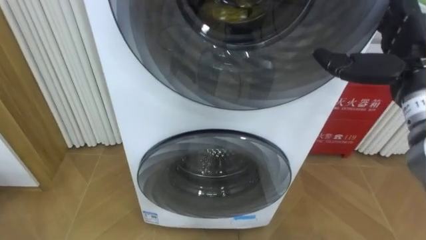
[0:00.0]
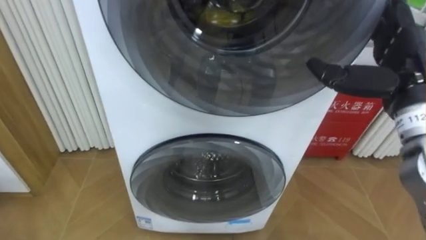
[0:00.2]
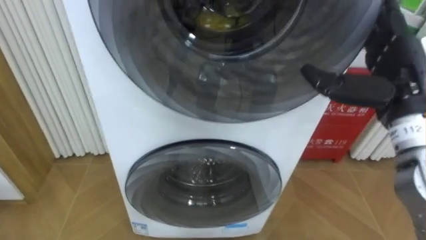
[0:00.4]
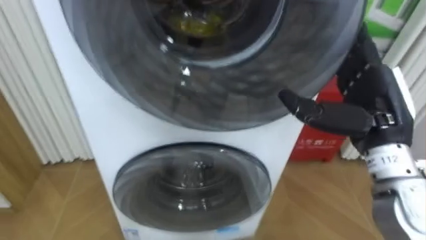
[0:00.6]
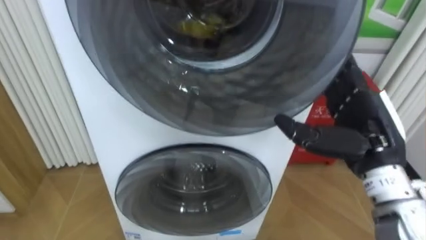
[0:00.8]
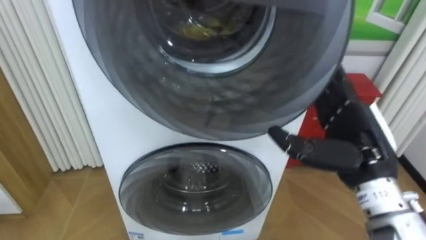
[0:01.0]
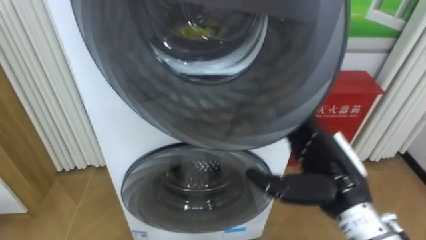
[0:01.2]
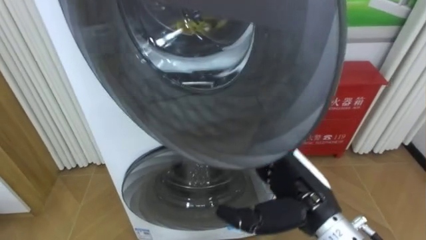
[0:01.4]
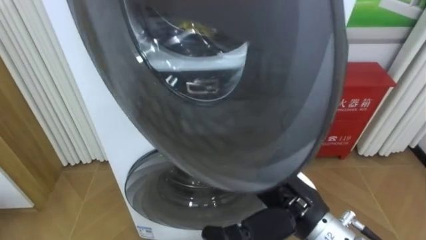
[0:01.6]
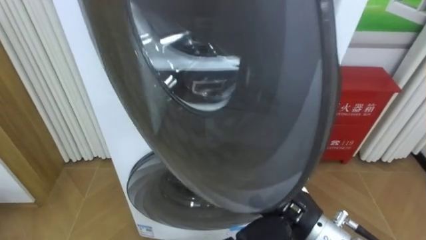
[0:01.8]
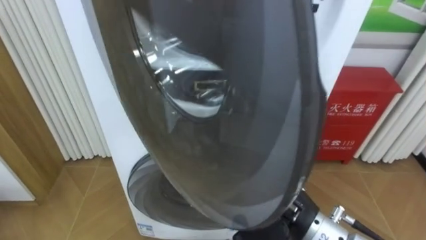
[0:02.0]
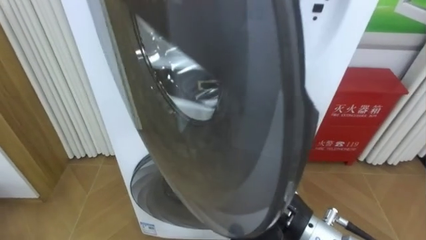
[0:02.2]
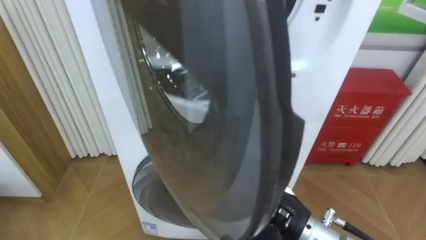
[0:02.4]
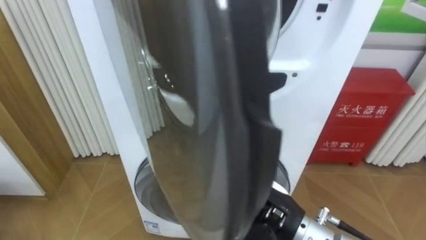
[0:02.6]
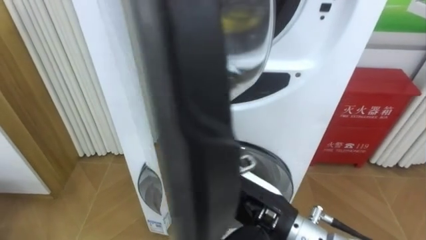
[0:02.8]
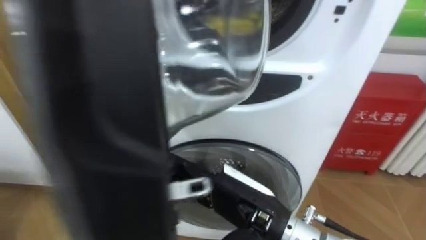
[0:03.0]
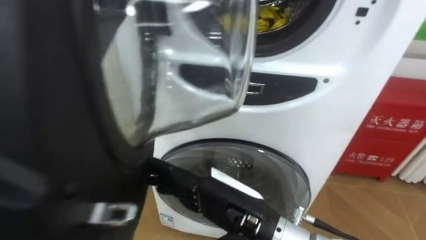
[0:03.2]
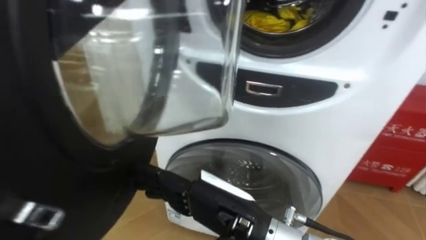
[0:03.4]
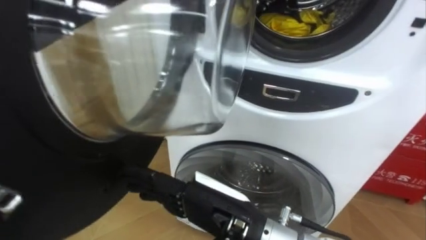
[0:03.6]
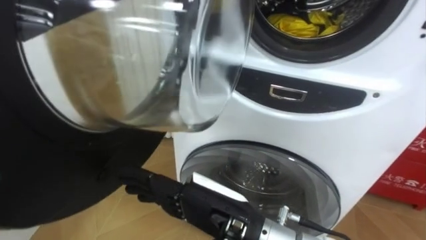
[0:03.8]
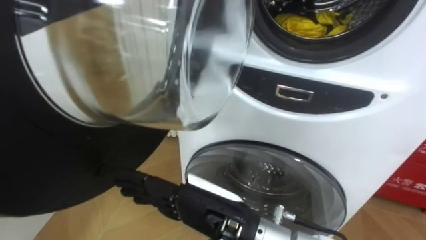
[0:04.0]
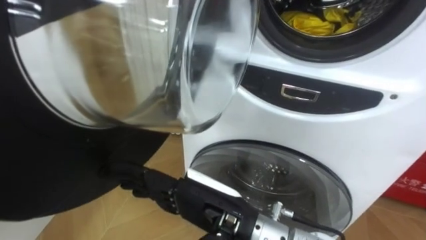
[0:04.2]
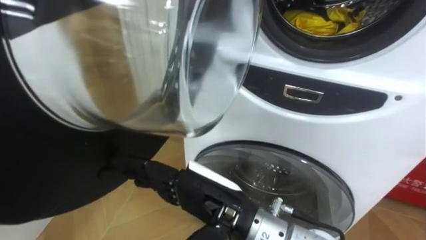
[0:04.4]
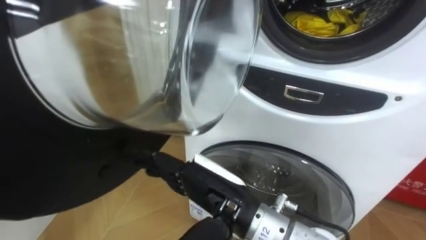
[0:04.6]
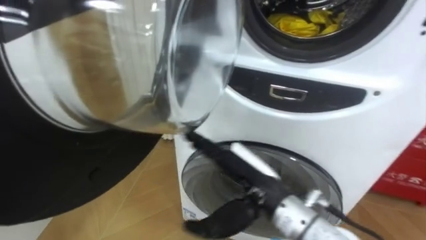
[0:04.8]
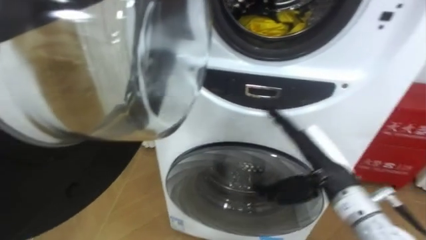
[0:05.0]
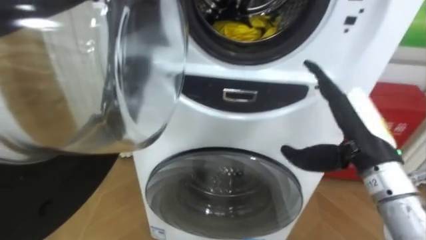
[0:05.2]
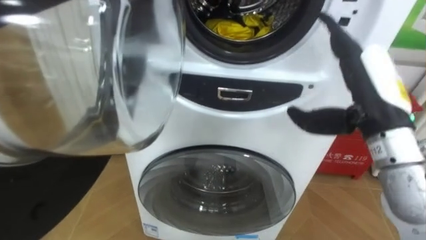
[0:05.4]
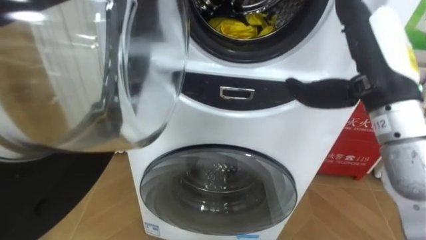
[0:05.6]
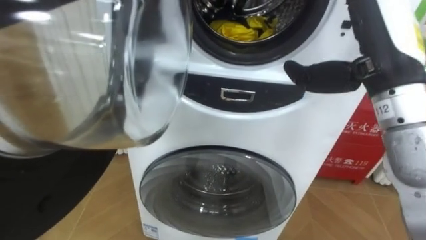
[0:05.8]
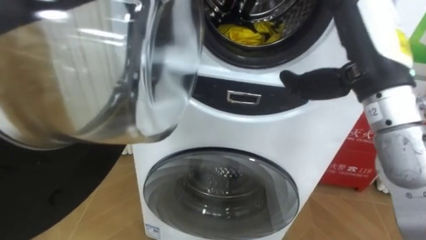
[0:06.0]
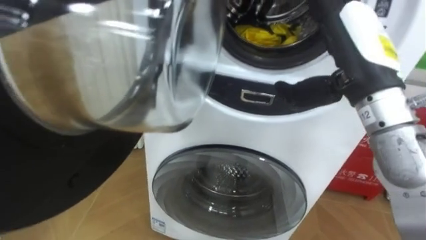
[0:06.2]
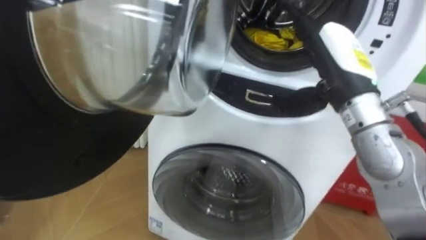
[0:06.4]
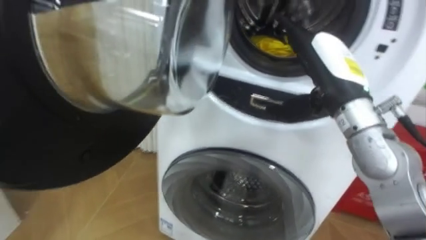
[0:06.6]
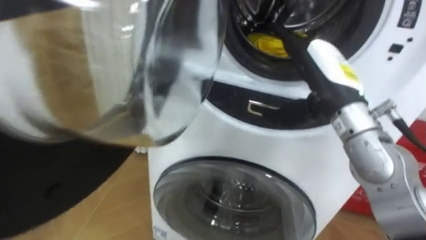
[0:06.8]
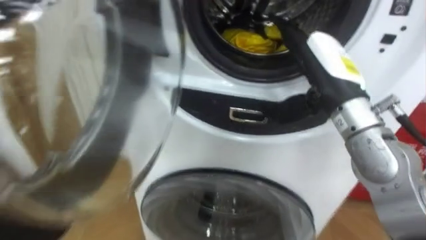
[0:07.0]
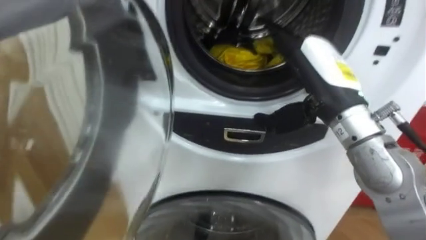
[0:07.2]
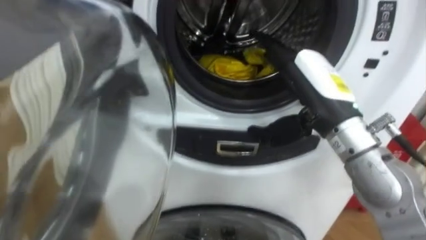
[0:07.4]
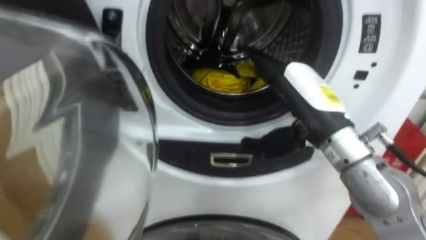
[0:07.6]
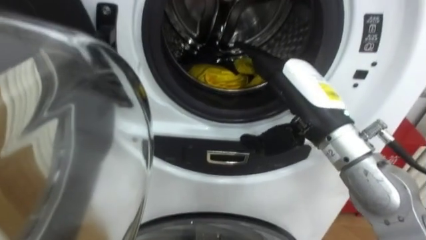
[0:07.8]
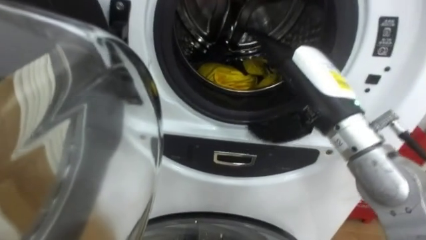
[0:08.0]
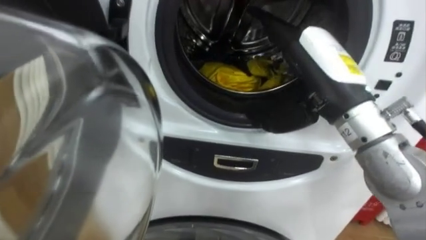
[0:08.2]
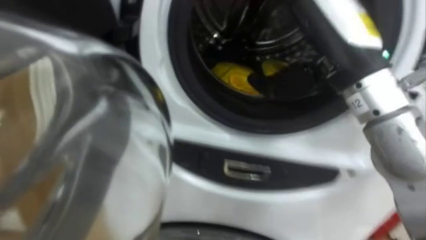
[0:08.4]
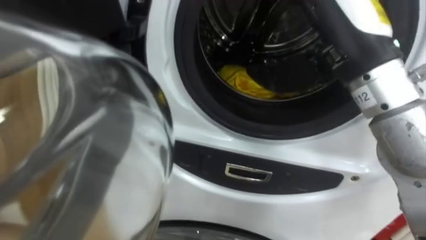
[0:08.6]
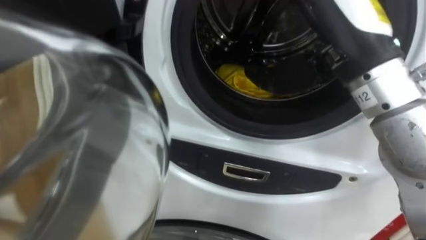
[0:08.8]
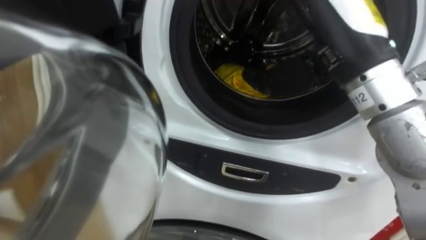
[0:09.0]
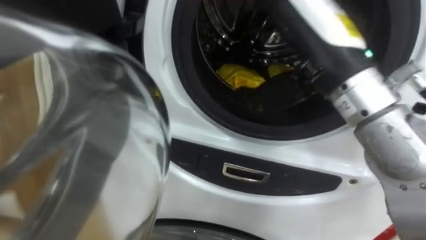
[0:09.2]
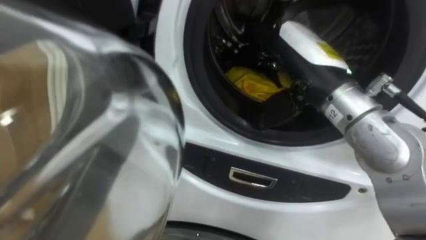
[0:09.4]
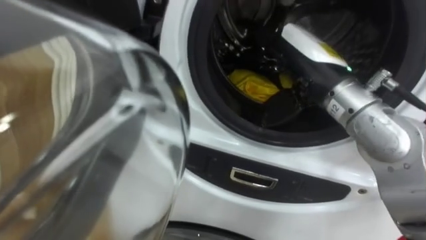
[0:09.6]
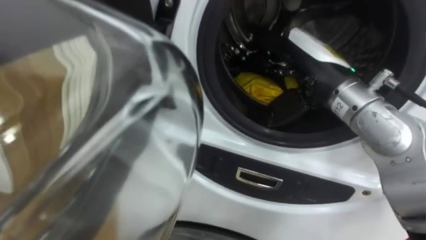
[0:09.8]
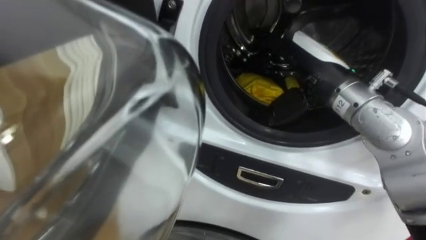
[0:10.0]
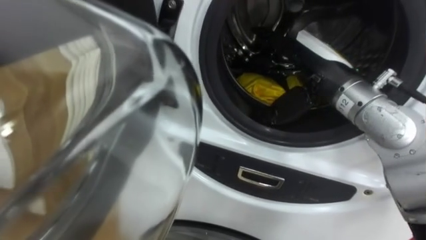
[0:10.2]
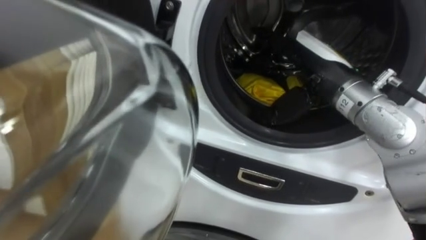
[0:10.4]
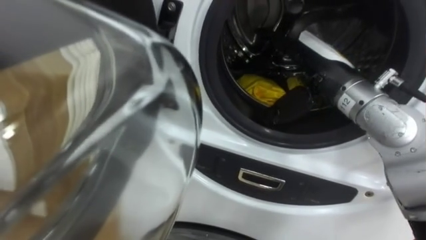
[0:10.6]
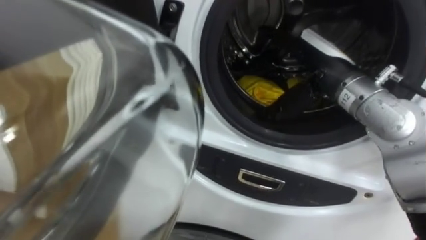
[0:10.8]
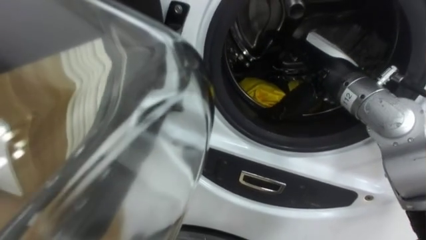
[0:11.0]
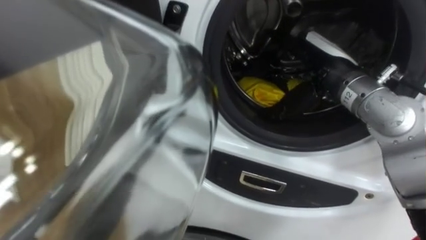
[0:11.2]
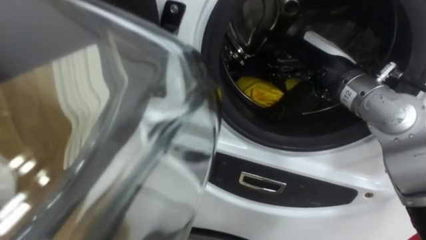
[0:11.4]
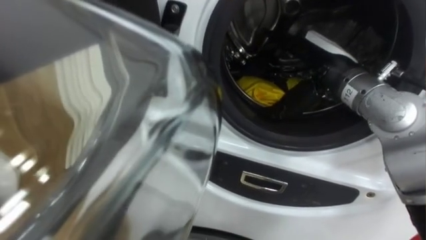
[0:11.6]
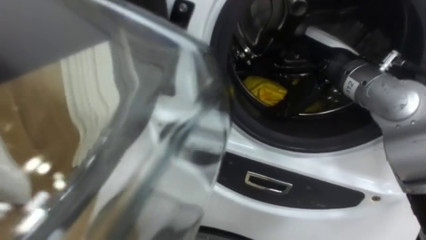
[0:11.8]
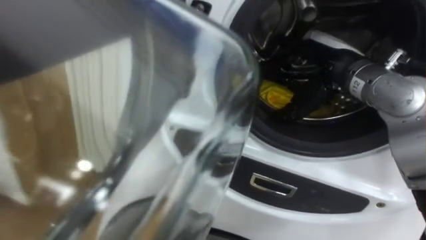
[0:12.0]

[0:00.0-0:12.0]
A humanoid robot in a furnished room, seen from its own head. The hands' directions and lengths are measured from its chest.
Task of the whole recording: Open the washing machine door, take out the yellow clothes, place them in the box on the right, and close the washing machine door.
0:00.0 to 0:01.6: The right hand heads to the left, downward and backward, covering roughly 25 cm.
0:01.6 to 0:03.0: The right hand shifts approximately 5 cm to the left.
0:04.4 to 0:06.0: The right hand travels to the right, upward and forward by some 25 cm.
0:06.0 to 0:07.6: The right hand heads downward, covering approximately 5 cm.
0:07.6 to 0:09.0: The right hand goes about 10 cm upward.
0:09.0 to 0:10.4: The right hand goes roughly 10 cm downward and forward.

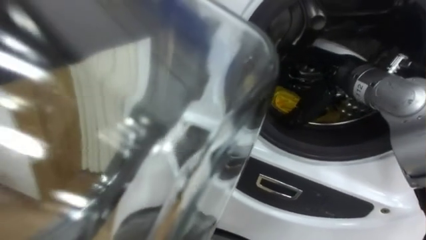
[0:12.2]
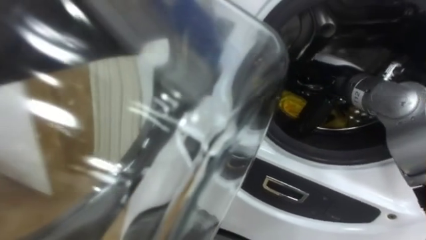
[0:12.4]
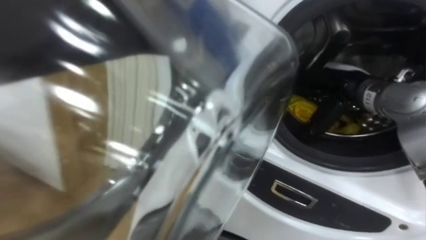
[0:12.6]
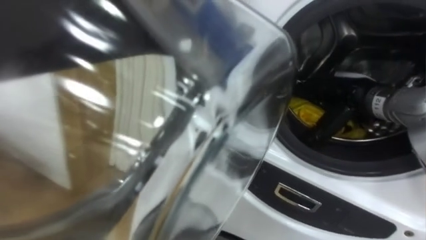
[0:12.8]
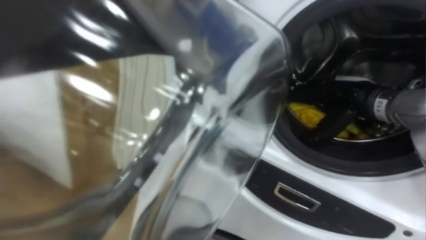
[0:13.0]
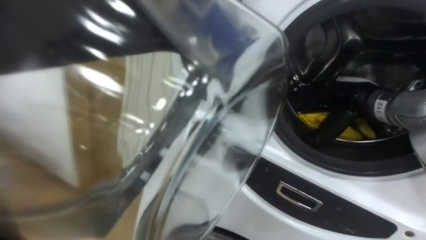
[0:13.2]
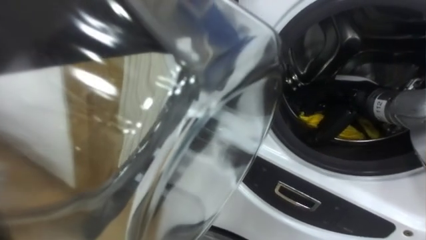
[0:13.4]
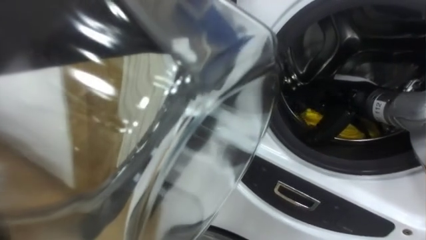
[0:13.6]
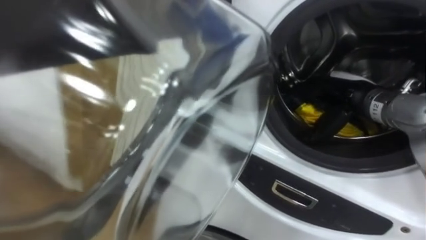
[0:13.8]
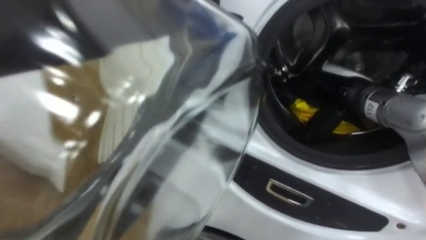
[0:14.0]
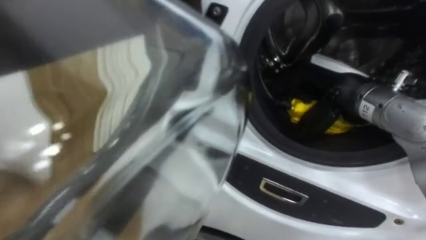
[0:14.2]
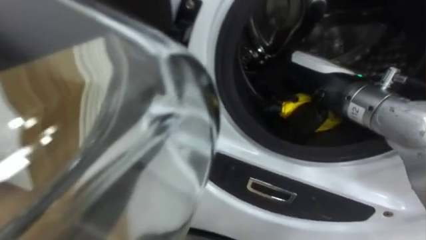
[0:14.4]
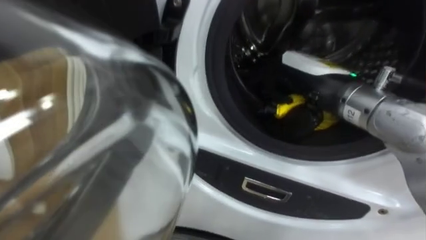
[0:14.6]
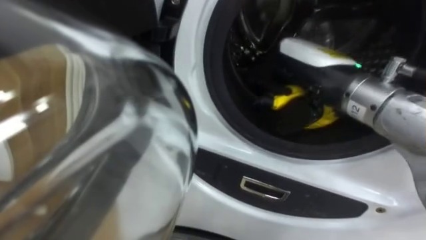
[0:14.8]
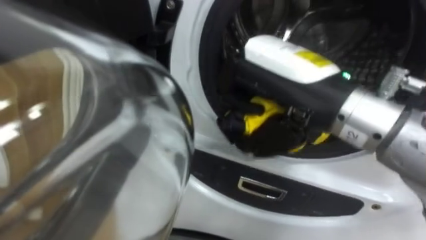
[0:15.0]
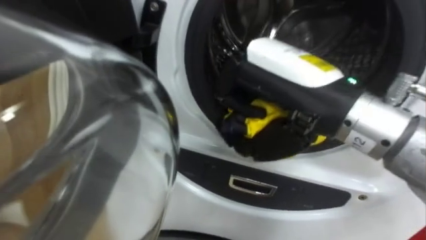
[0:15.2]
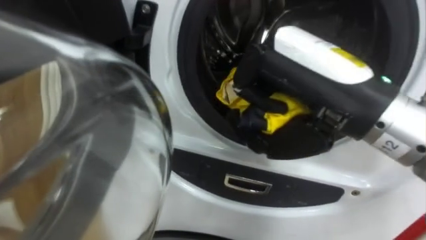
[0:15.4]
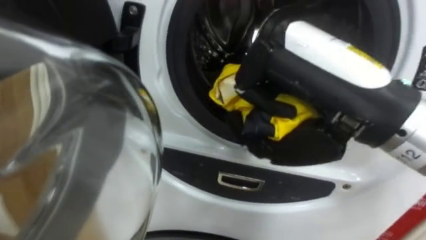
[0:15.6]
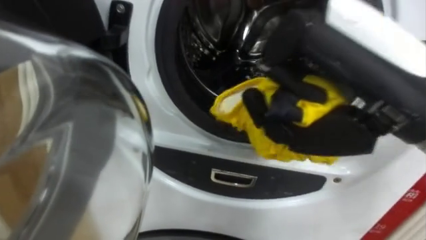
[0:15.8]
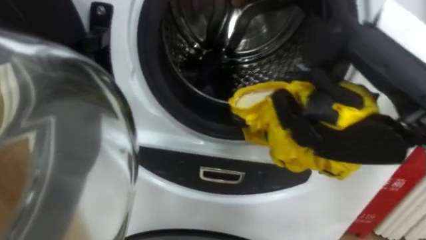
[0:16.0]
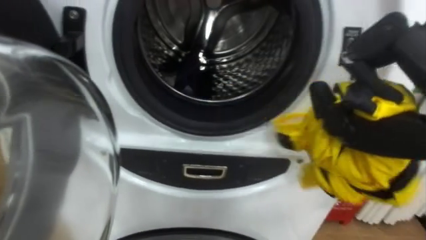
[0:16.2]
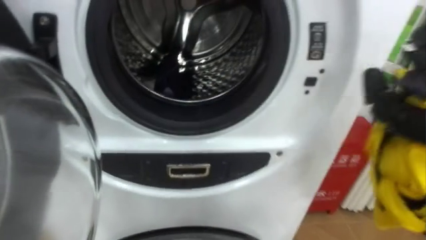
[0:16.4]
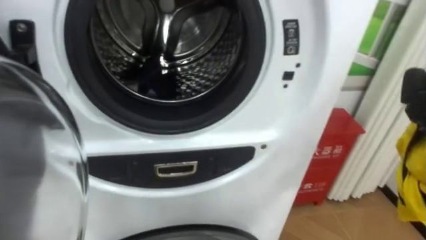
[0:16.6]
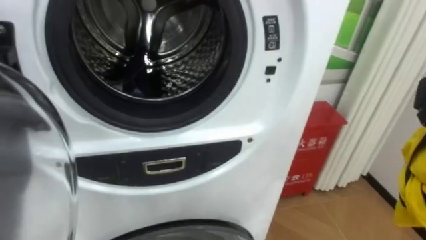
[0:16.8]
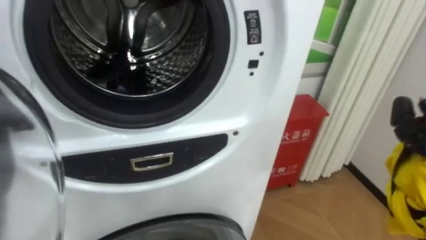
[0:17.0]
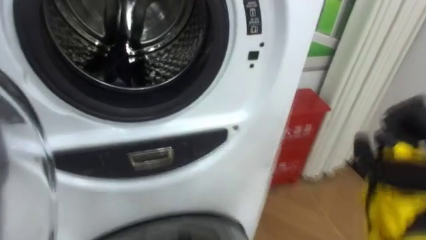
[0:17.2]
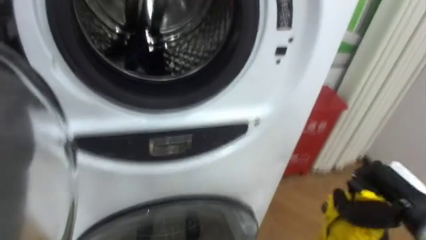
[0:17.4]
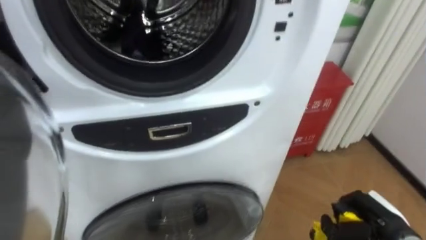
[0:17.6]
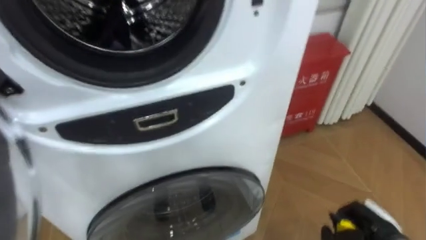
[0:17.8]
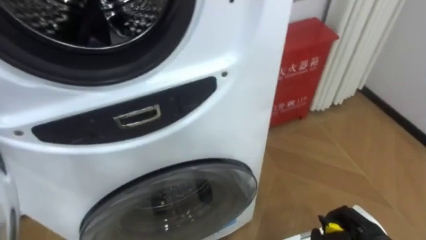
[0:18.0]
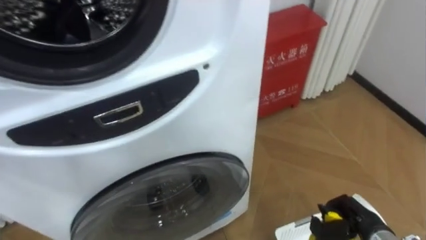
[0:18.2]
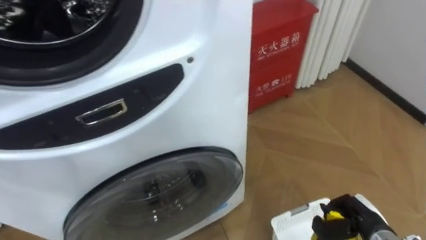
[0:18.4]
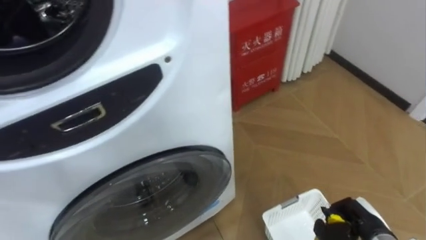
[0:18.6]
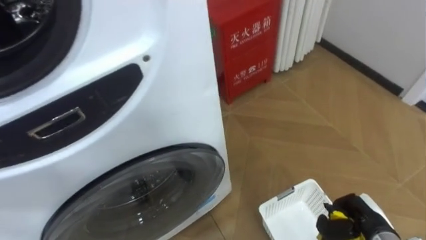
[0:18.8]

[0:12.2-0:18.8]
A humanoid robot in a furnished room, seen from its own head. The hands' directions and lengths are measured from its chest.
Task of the whole recording: Open the washing machine door, take out the yellow clothes, place them in the box on the right, and close the washing machine door.
0:12.2 to 0:13.8: The right hand moves downward, some 5 cm, and closes up.
0:13.8 to 0:15.4: The right hand is displaced backward, upward and to the left by some 25 cm.
